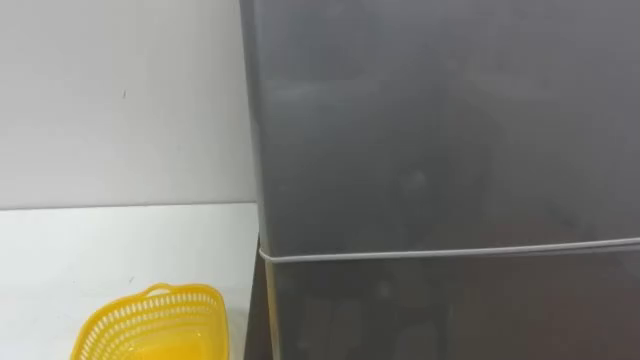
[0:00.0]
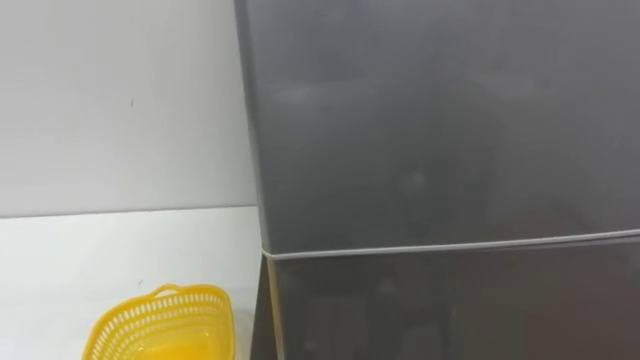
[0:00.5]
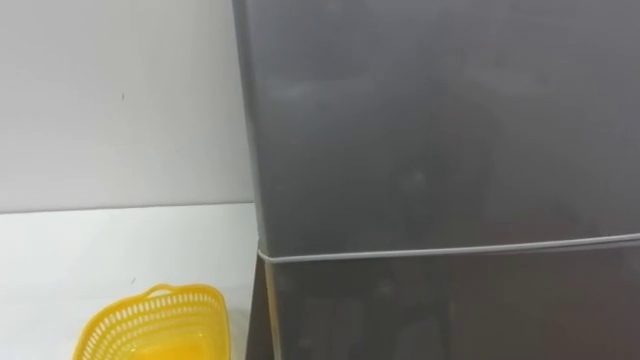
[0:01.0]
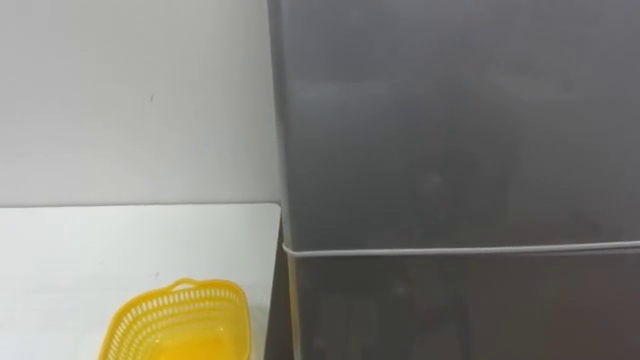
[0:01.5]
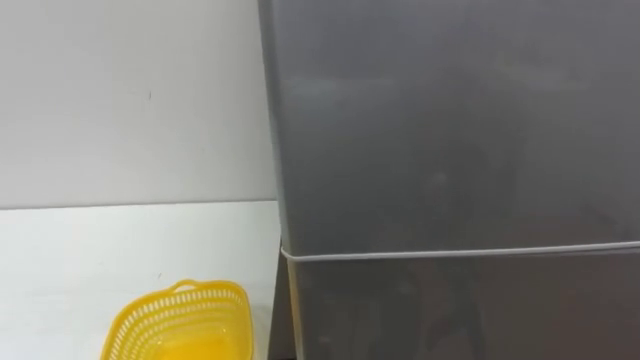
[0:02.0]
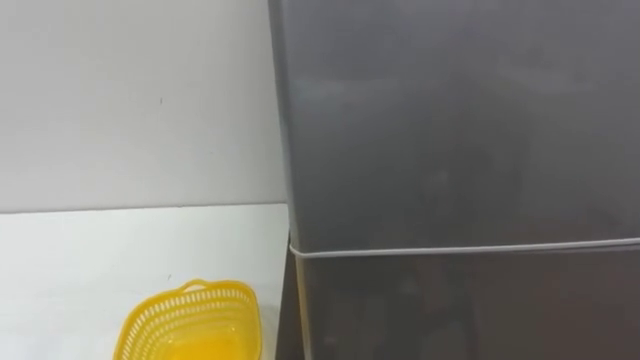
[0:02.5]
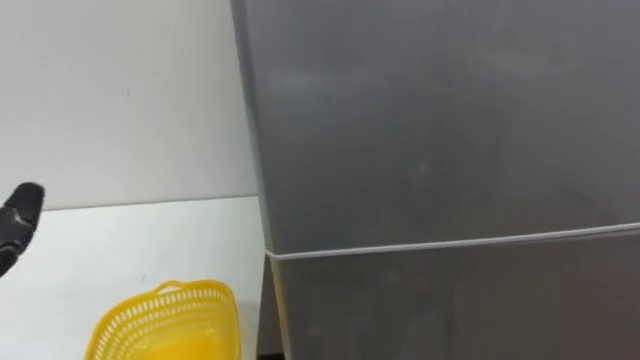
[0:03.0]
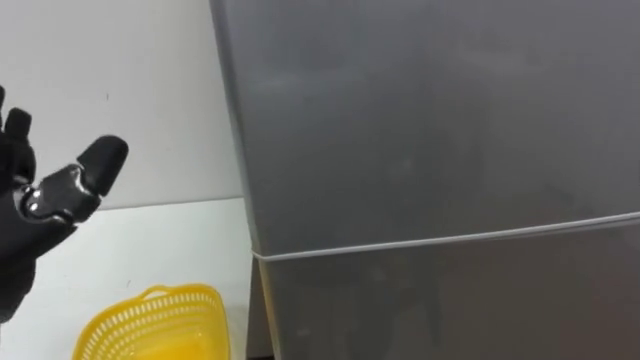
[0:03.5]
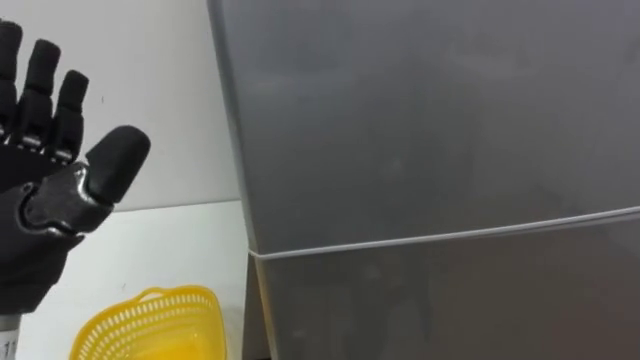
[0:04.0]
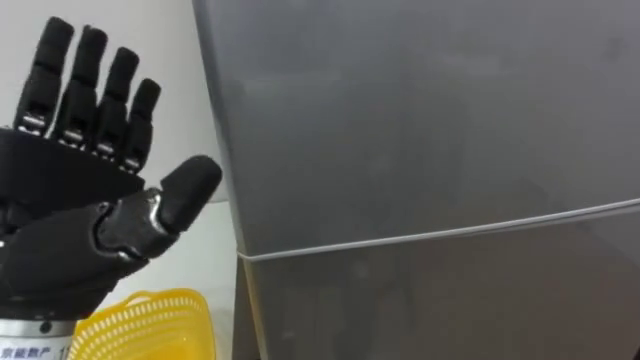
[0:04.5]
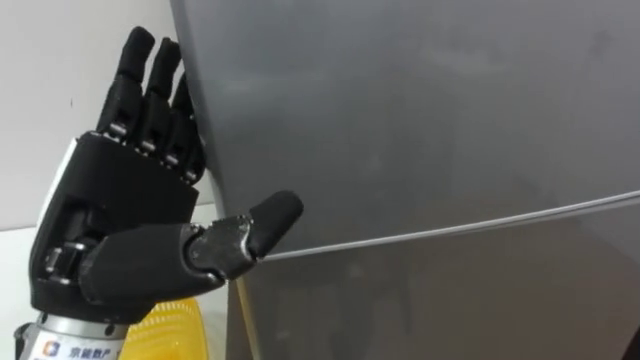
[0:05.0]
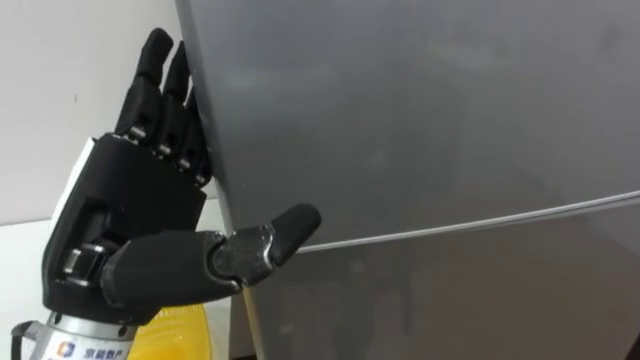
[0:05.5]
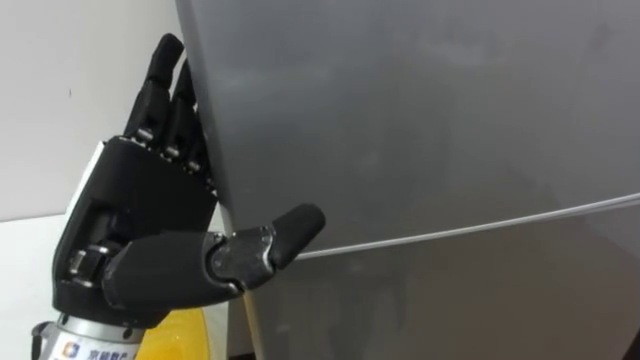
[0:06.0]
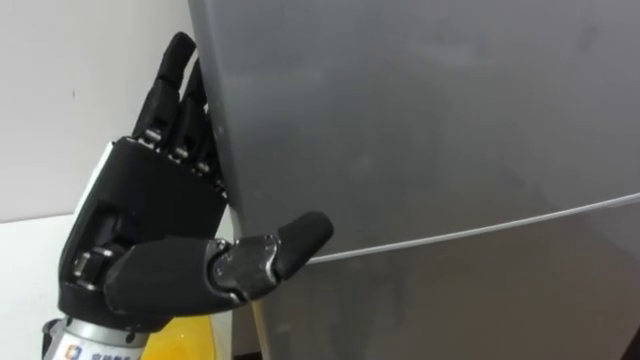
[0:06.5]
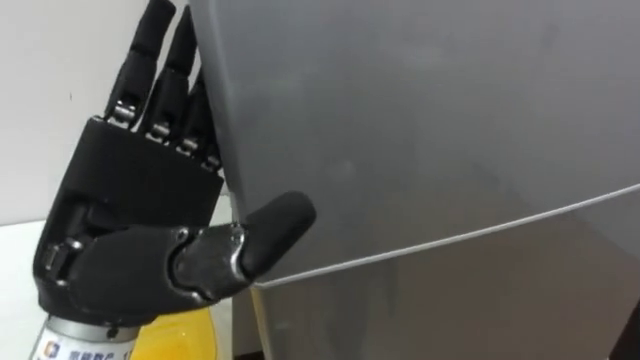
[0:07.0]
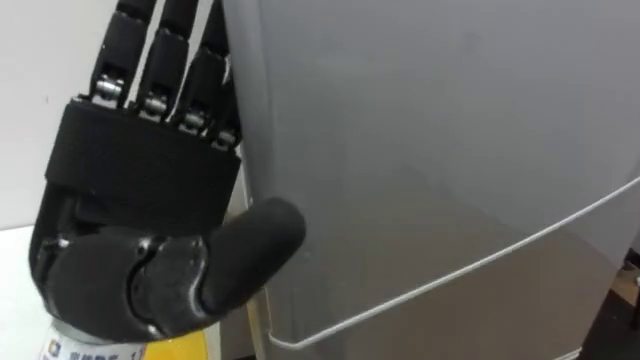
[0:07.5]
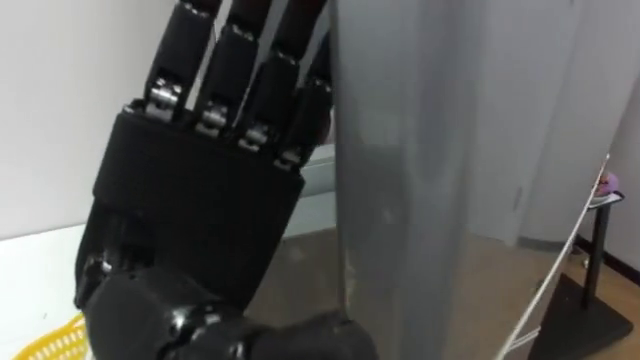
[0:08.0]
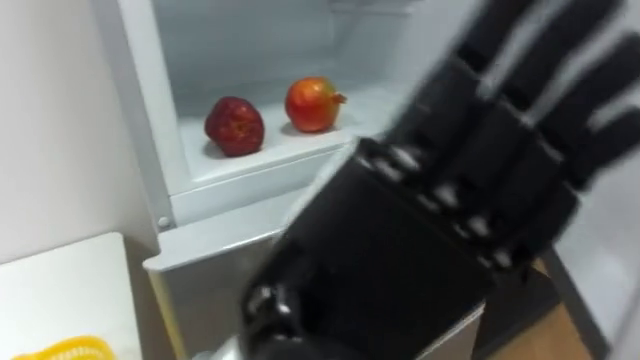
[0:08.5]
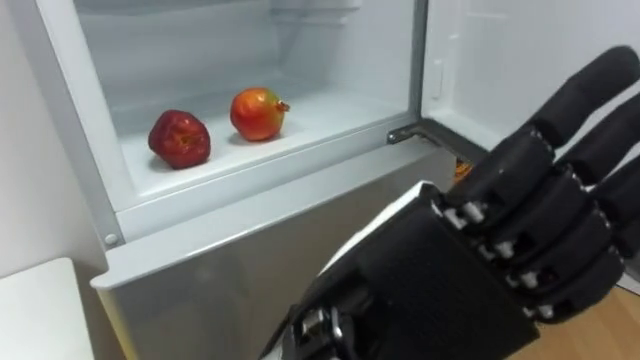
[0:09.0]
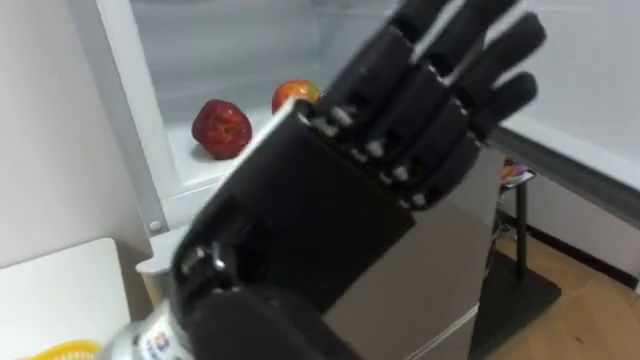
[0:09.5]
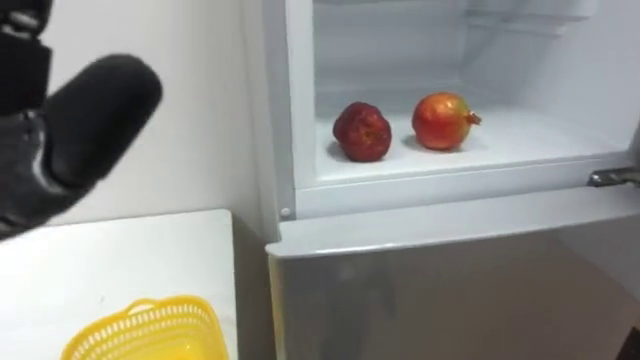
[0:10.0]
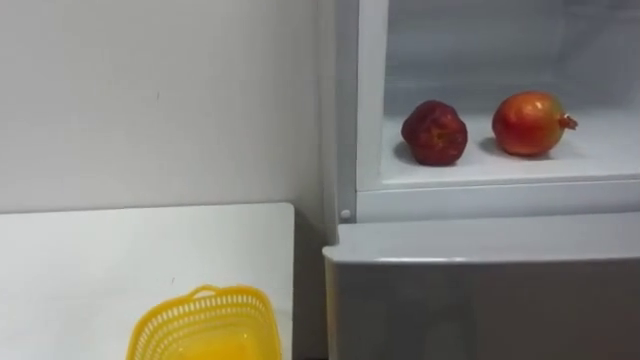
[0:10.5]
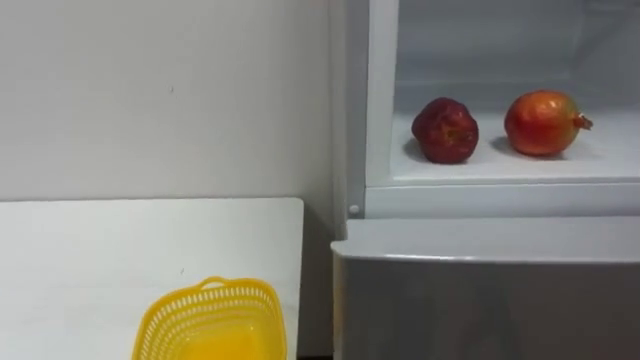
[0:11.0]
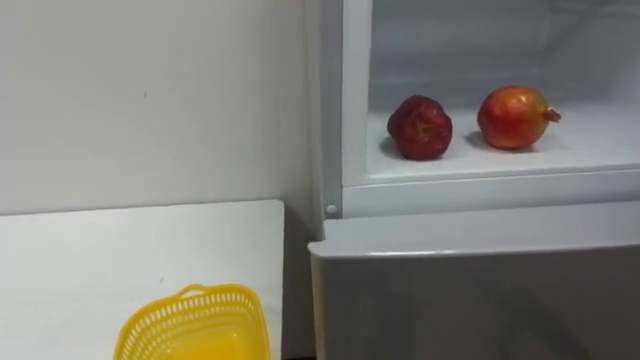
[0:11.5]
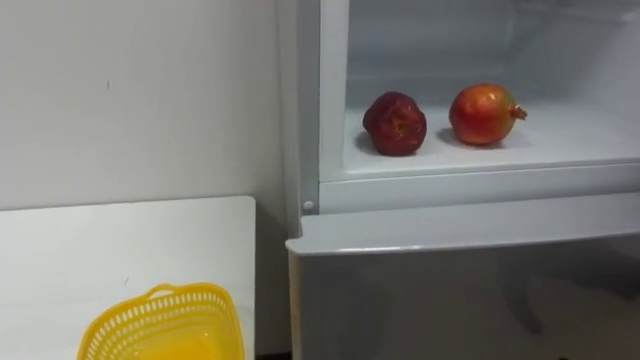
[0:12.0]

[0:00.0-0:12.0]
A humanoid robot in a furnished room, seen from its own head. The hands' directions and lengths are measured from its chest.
Task of the whole recording: Open the refrigerator door, take out the apple and the pomegranate, place them in the fruit basket on the left, and close the refrigerator door.
0:06.0 to 0:08.0: The left hand shifts by about 10 cm.

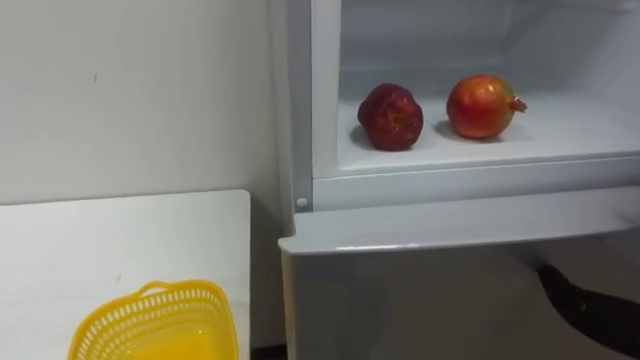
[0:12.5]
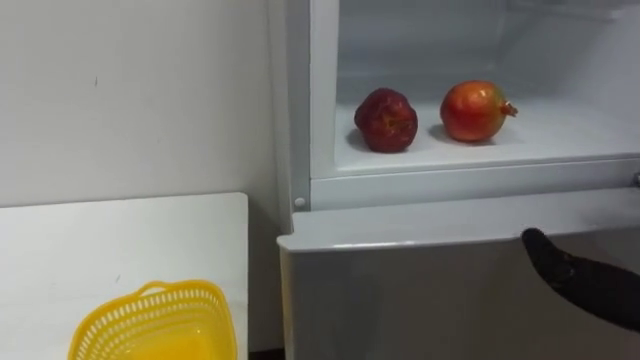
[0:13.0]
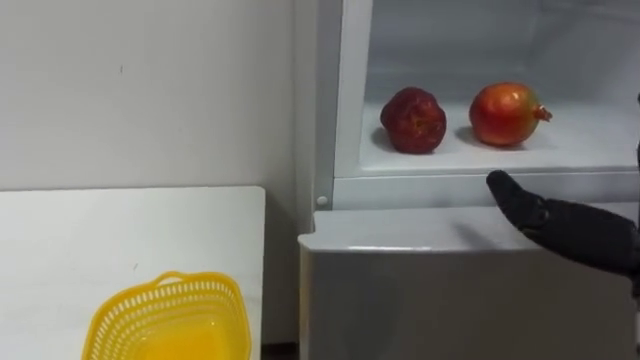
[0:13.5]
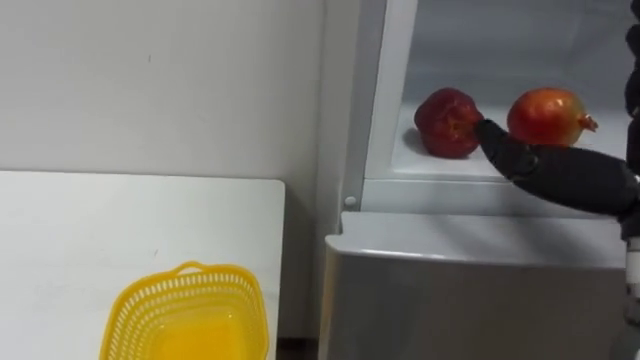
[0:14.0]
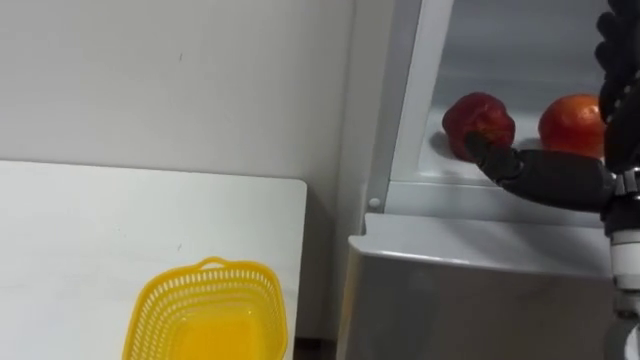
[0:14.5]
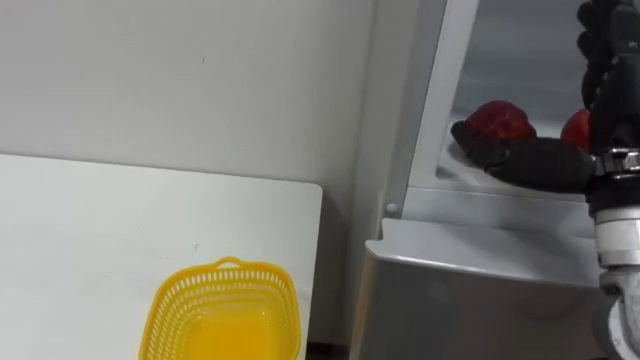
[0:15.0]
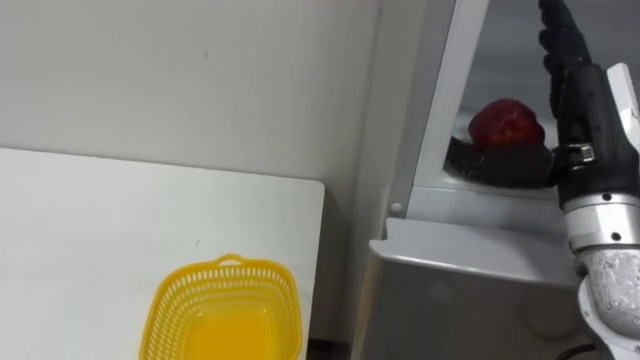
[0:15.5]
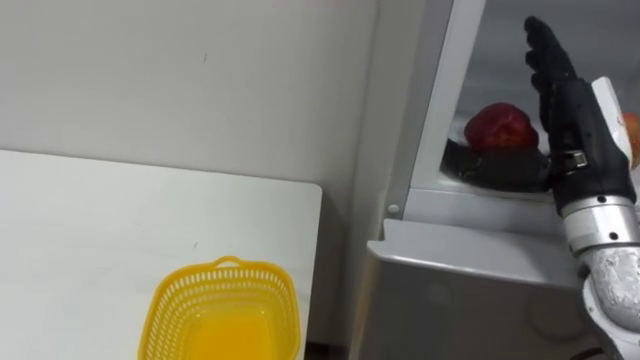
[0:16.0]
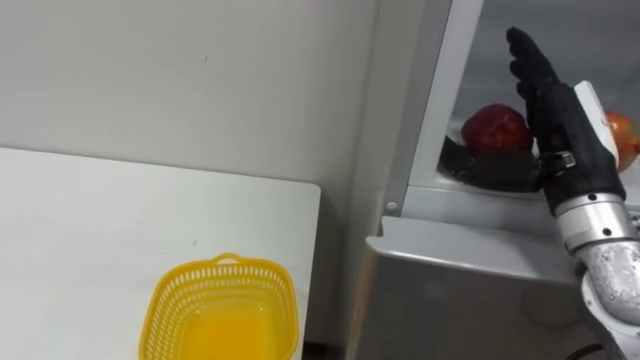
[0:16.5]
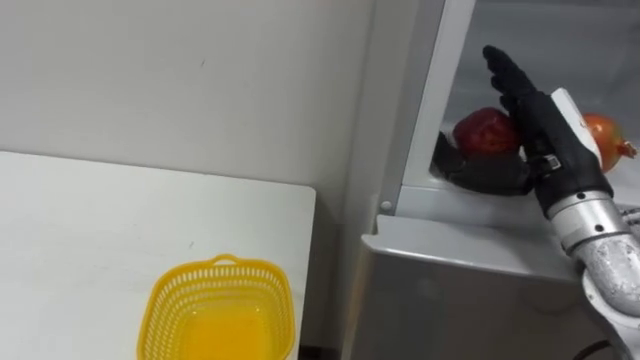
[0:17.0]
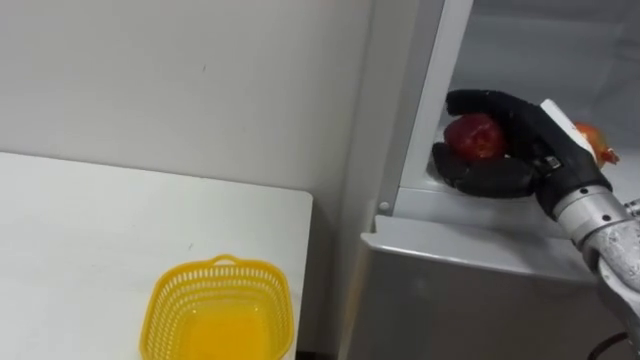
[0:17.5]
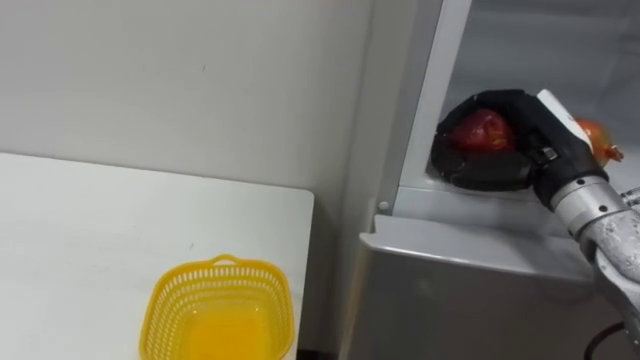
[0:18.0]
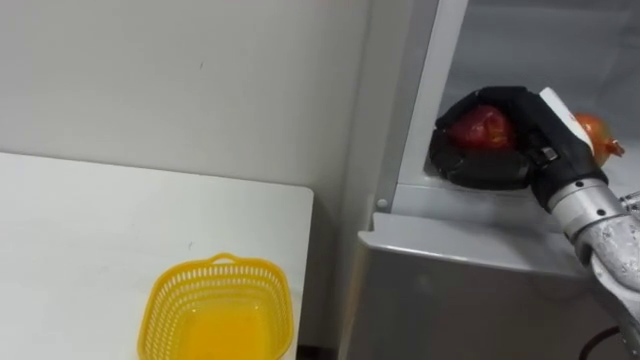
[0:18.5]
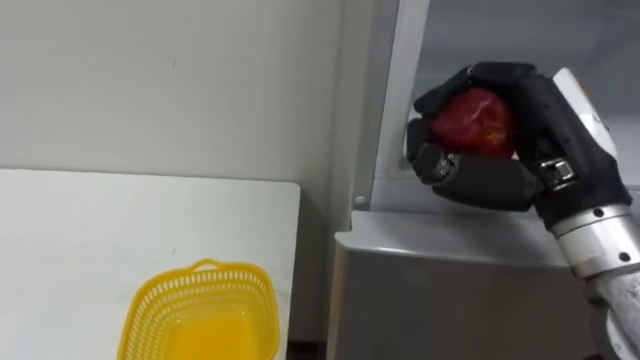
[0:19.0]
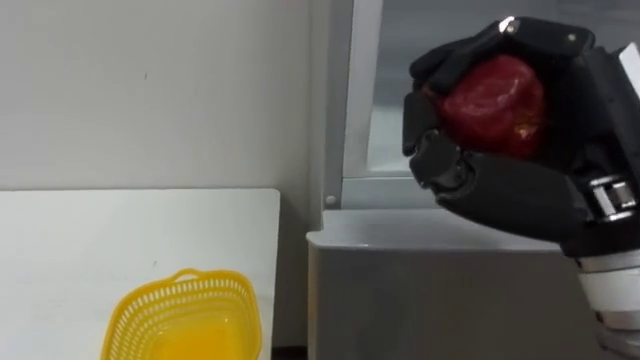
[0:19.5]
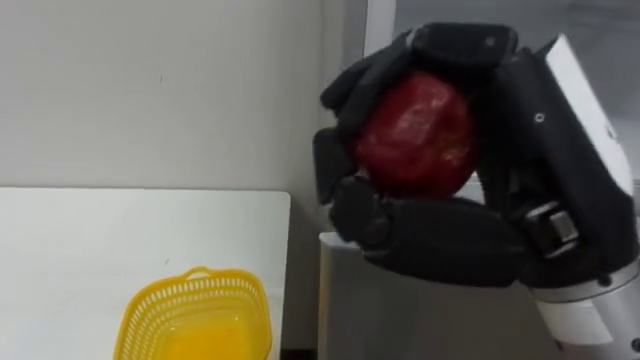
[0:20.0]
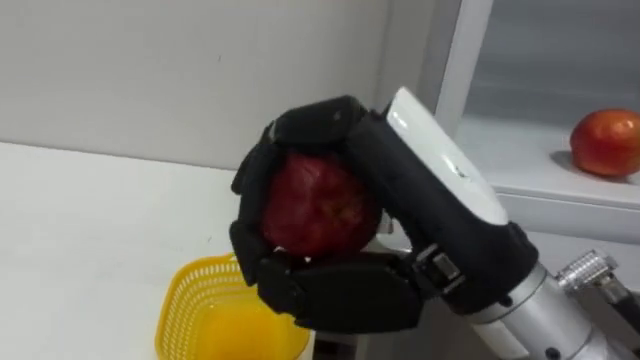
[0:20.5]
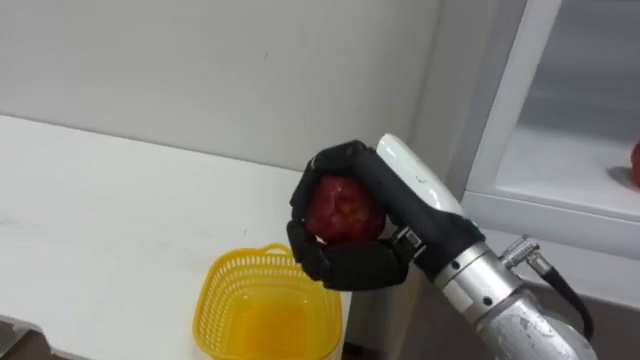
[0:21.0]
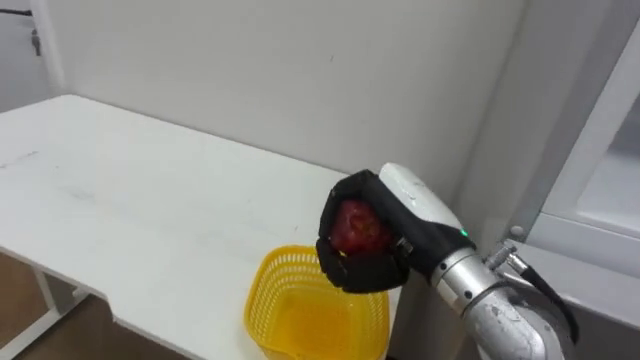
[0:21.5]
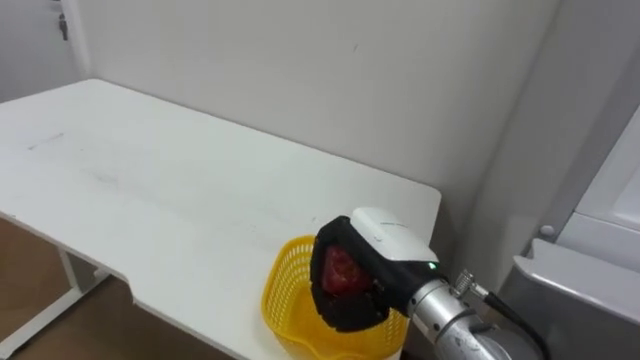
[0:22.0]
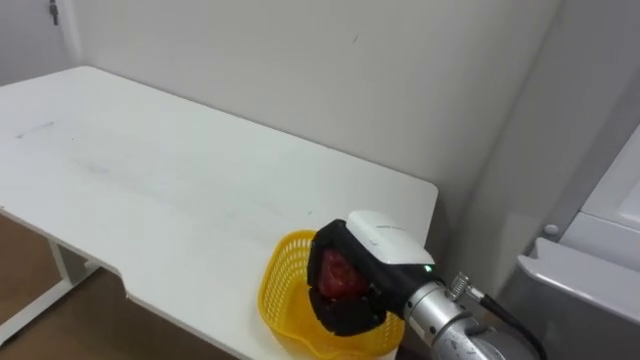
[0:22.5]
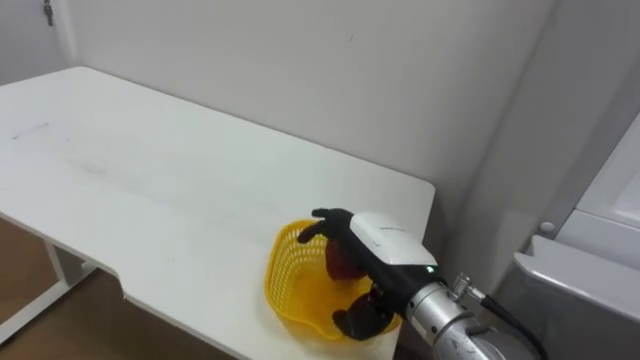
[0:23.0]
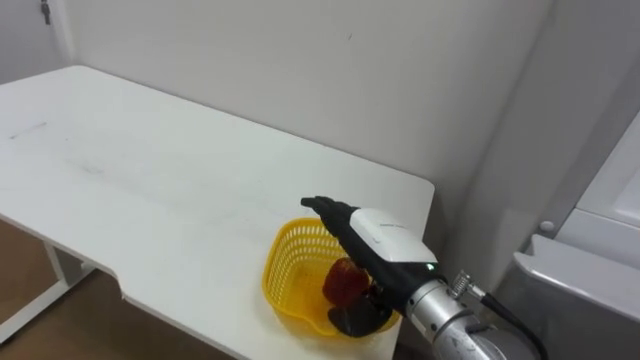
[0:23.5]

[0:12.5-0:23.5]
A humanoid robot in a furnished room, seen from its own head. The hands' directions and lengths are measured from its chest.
Task of the whole recording: Open the refrigerator door, take out the apple and the pomegranate, place them in the fruit basket on the left, and close the refrigerator door.
0:14.5 to 0:16.0: The right hand moves forward, some 5 cm.
0:16.0 to 0:18.0: The right hand moves some 5 cm, and closes its fingers.
0:18.0 to 0:20.0: The right hand is displaced backward, to the left and upward by approximately 20 cm.
0:20.0 to 0:21.5: The right hand goes about 15 cm forward and downward.
0:21.5 to 0:23.5: The right hand moves downward, approximately 5 cm, and opens up.
